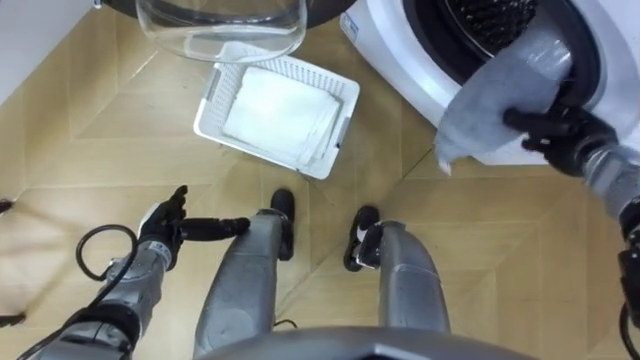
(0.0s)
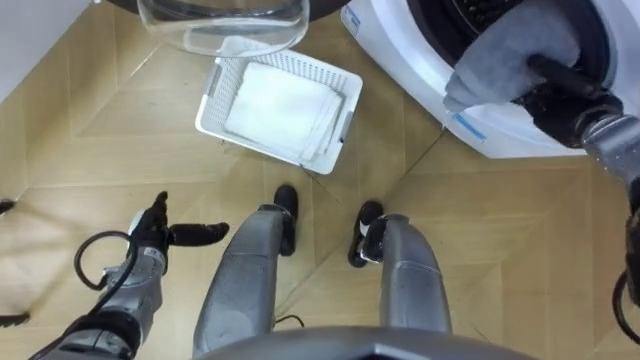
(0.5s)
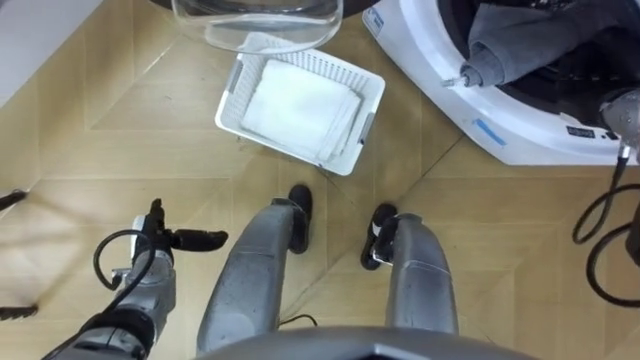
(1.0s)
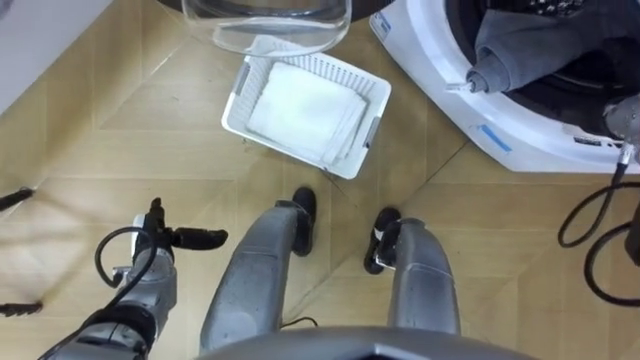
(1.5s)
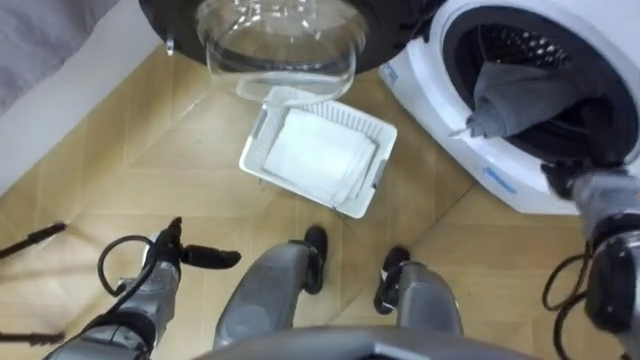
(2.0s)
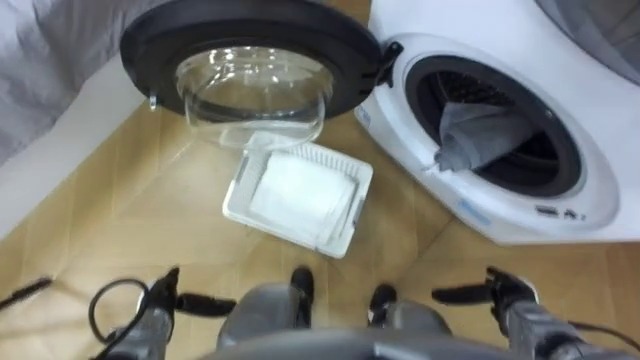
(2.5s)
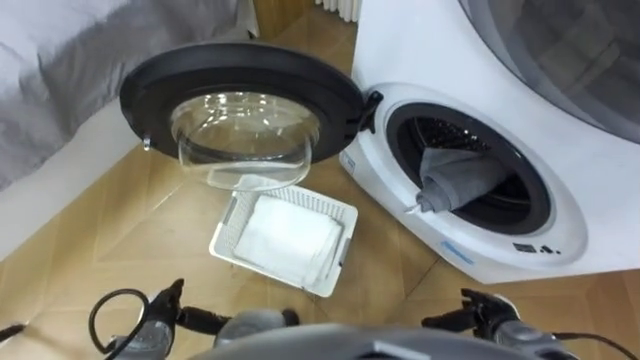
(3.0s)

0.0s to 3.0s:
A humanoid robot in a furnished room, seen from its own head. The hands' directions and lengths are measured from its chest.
Task of the whole recording: Take the towel from the basket and put it into the washing machine.
0.0s to 1.5s: The right hand moves about 5 cm, and opens.
1.5s to 3.0s: The right hand heads backward, downward and to the left, covering some 35 cm. The left hand travels backward by some 10 cm.

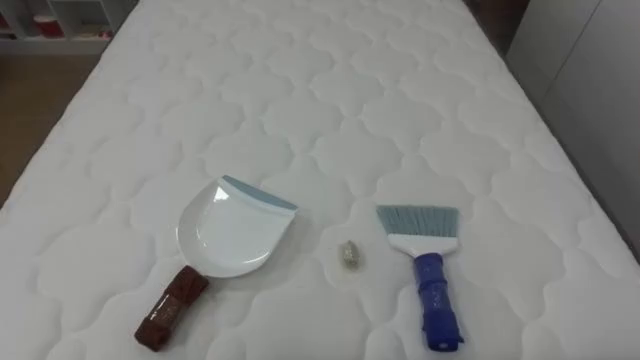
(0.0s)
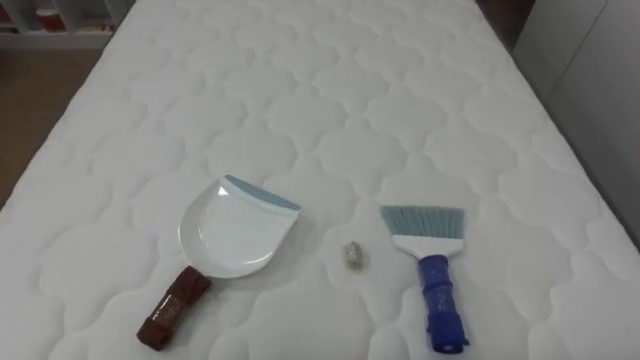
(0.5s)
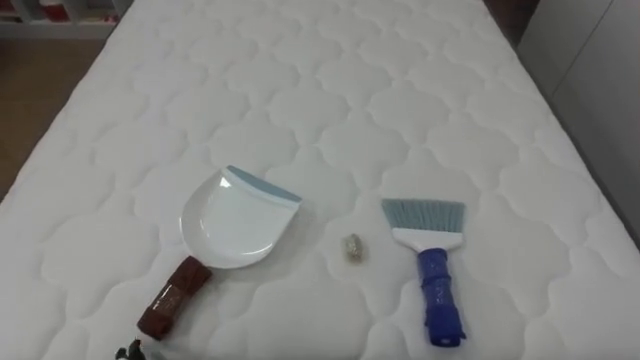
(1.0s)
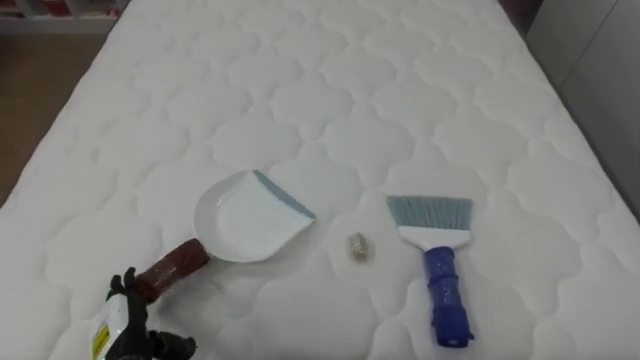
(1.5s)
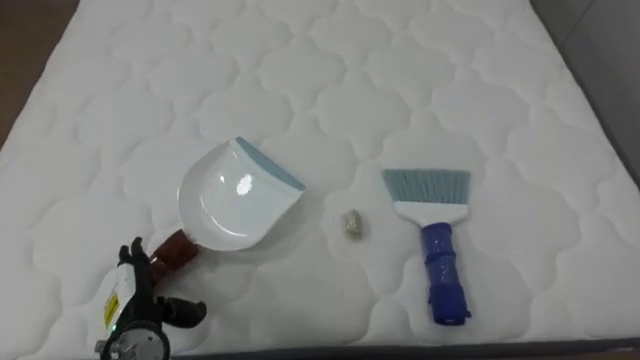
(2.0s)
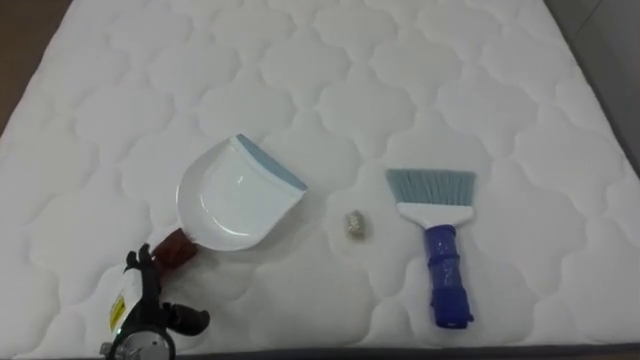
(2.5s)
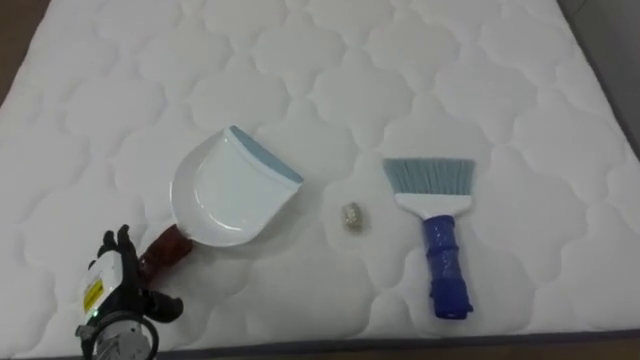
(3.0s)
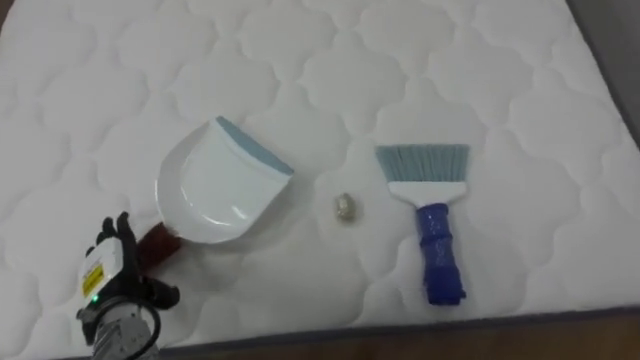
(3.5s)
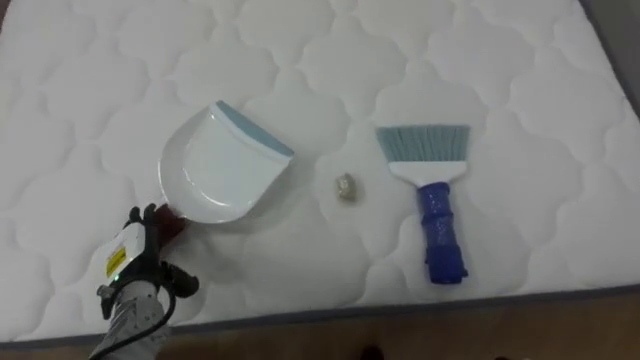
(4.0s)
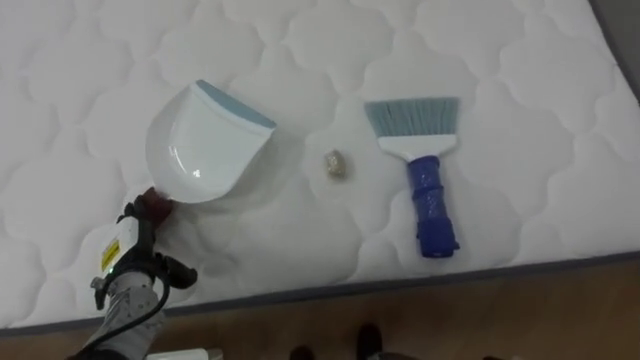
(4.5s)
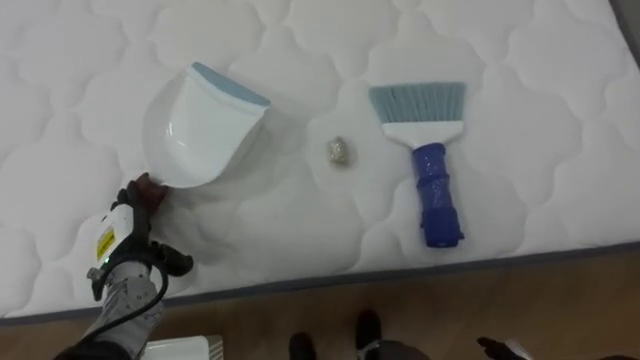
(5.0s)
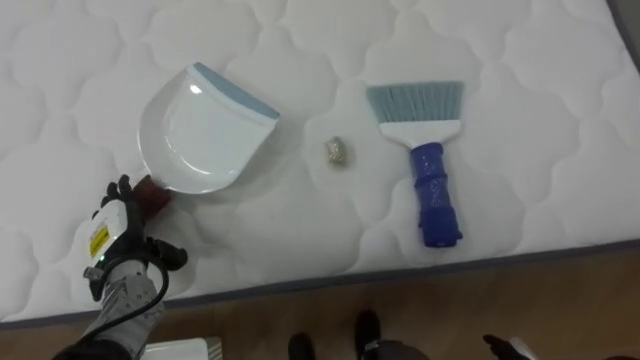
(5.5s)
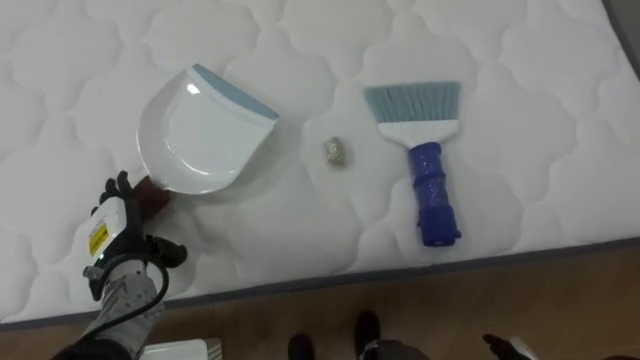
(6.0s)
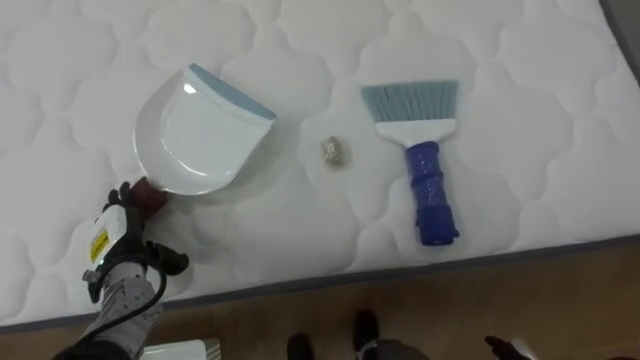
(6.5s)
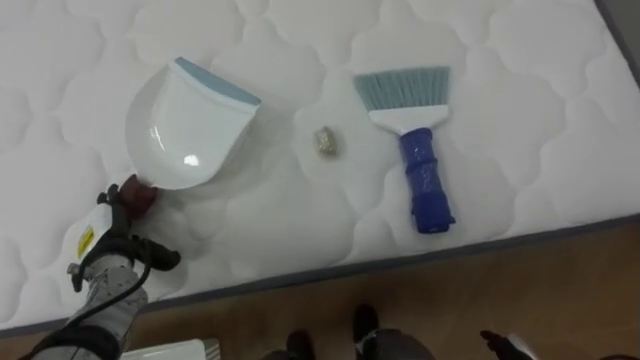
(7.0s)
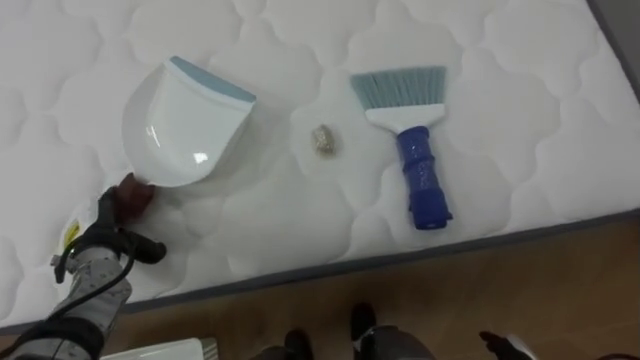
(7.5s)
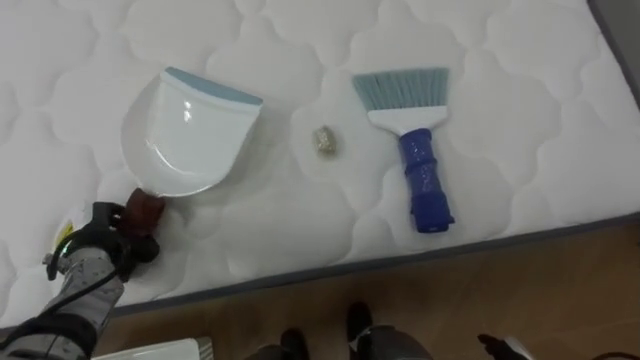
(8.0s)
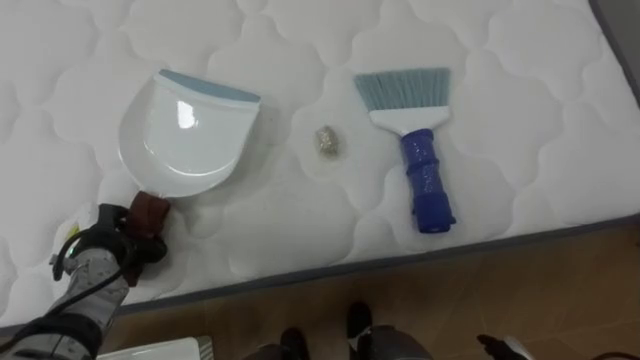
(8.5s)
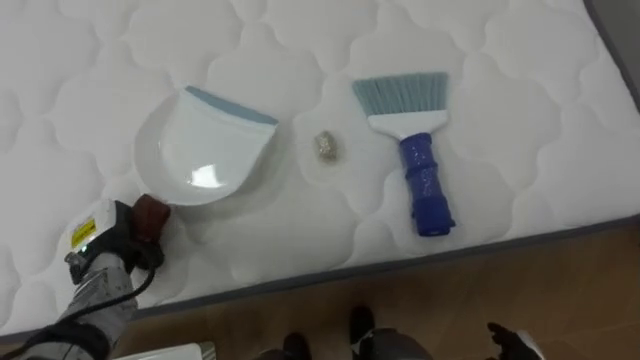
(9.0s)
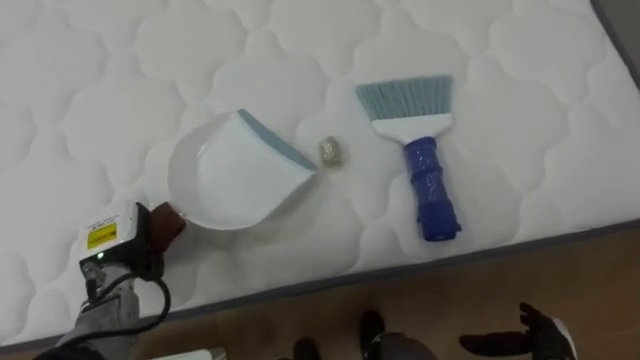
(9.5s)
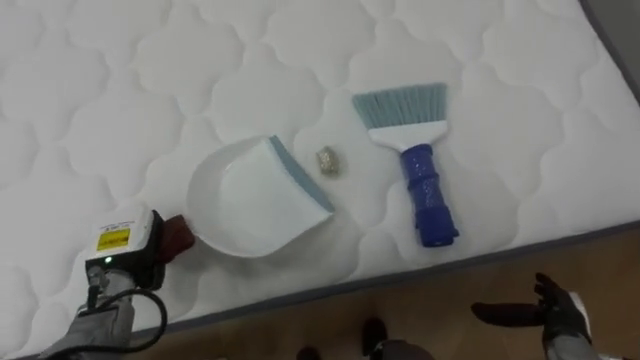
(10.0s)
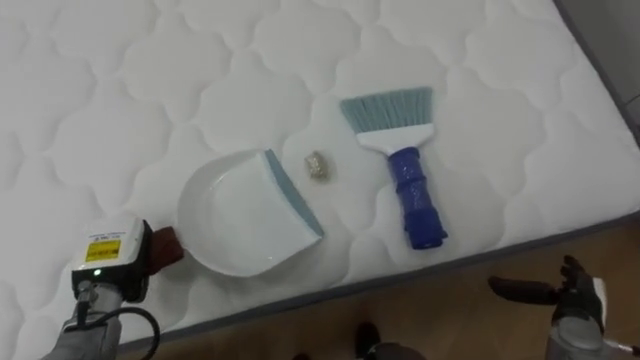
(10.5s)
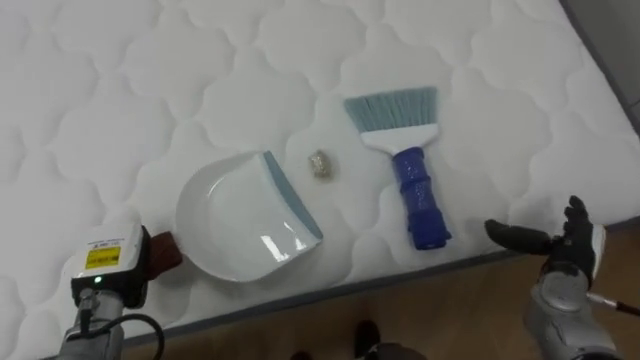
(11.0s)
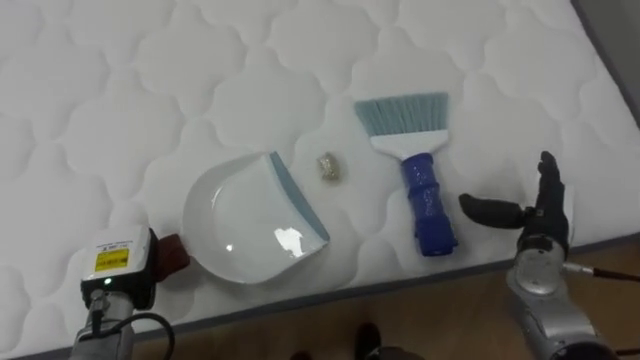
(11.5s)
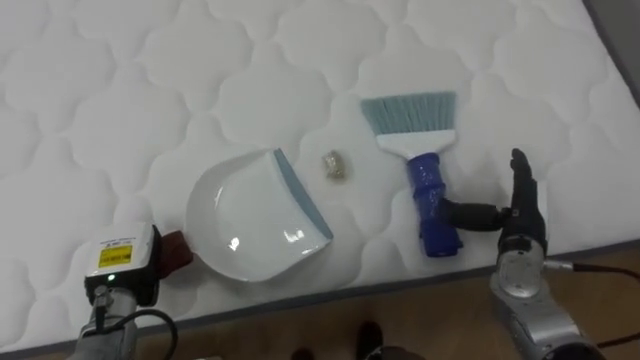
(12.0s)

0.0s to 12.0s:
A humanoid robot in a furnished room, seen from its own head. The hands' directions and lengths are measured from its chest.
Task of the whole recording: Pick up the brush on your right and the dustpan on your left. Use the brush to sweep the crumpled paper on the bed into the dustpan, then turn left and empty it into the basket.
2.0s to 4.0s: The left hand shifts some 5 cm forward.
6.0s to 8.0s: The left hand closes its fingers.
8.0s to 10.0s: The left hand moves to the right, roughly 5 cm.
10.0s to 12.0s: The right hand goes approximately 15 cm upward, forward and to the left.

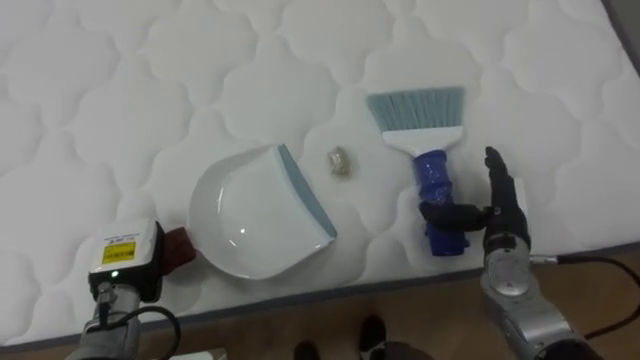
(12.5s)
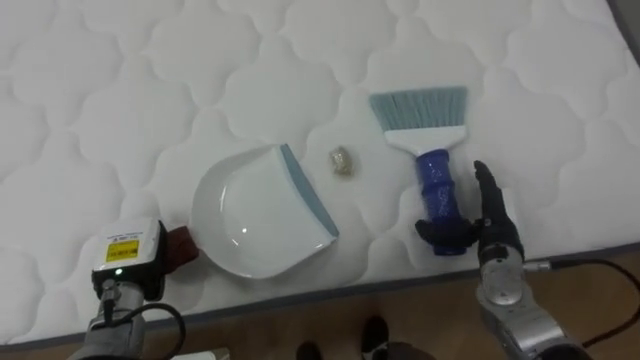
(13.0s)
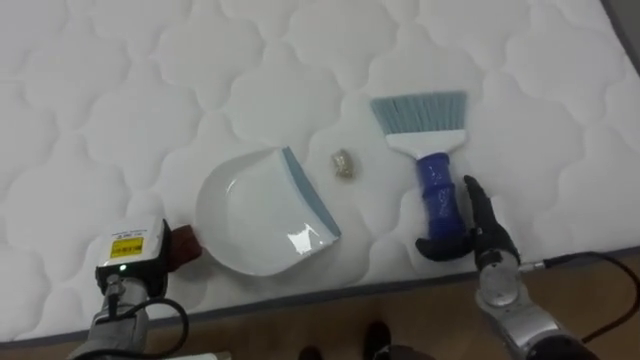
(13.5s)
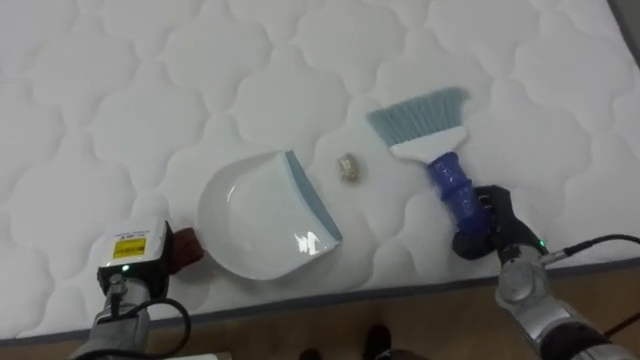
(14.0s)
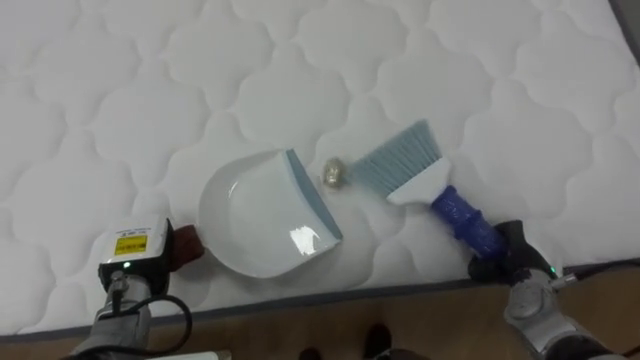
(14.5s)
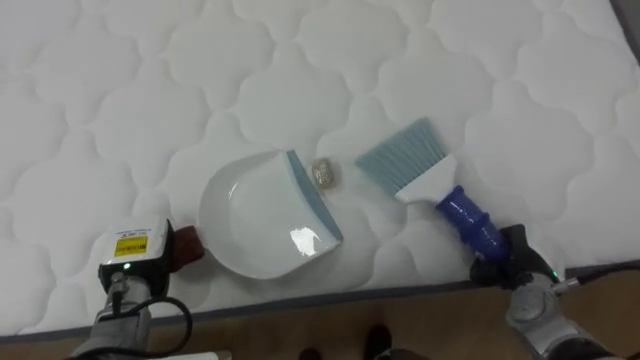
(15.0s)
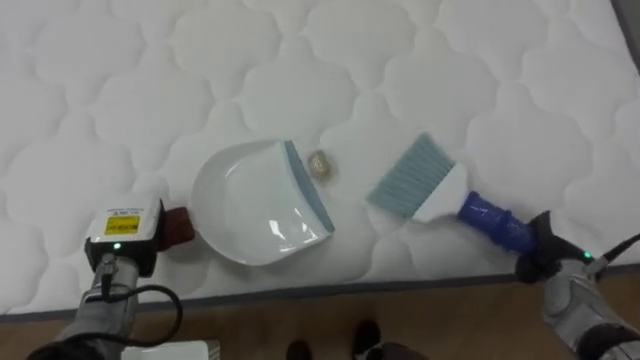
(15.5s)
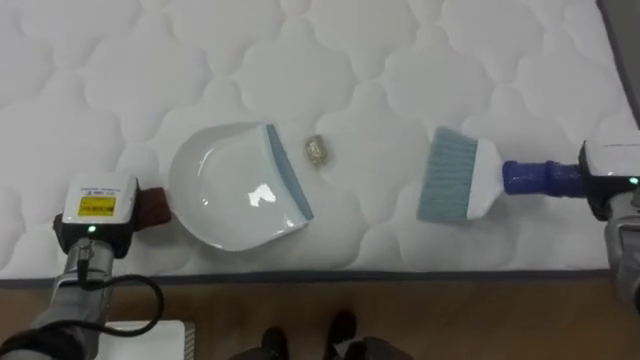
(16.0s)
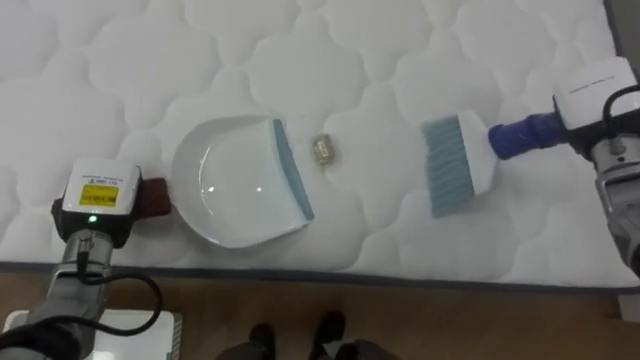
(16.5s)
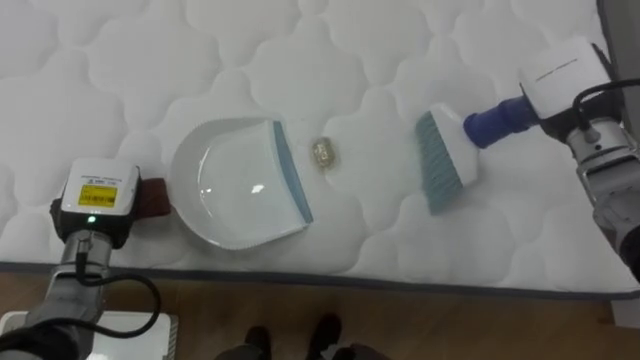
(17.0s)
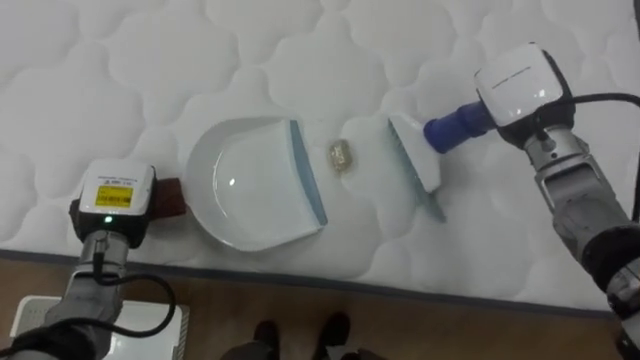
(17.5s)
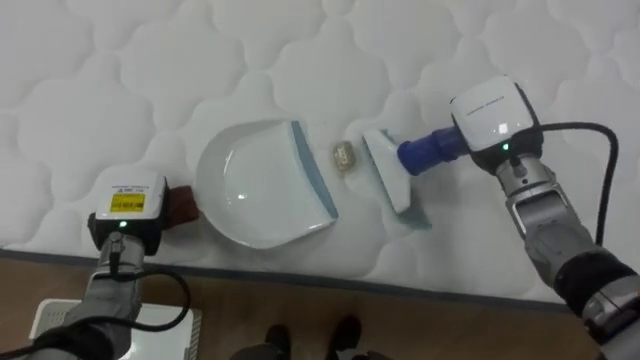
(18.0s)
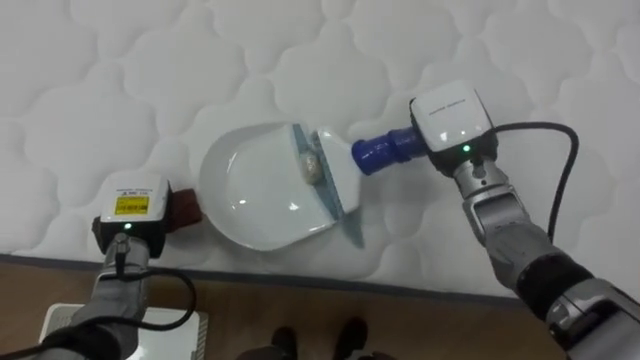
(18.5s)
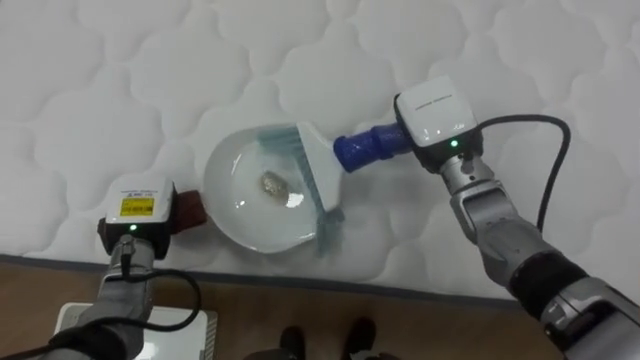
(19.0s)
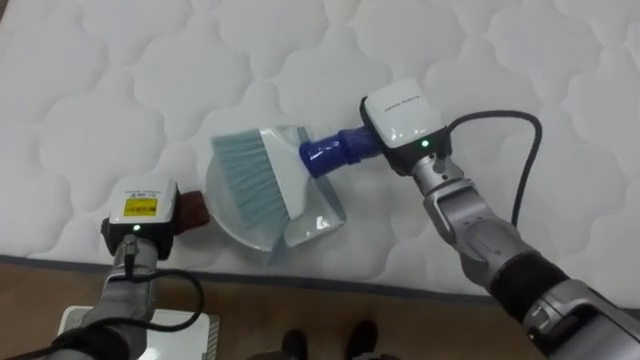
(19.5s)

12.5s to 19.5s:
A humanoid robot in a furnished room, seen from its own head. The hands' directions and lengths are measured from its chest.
Task of the whole recording: Pick up the brush on your right and the dustpan on your left. Use the brush to sweep the crumpled paper on the bed into the dustpan, then turn left and empty it into the basket.
12.5s to 14.5s: The right hand moves downward, some 5 cm, and closes its fingers.
14.5s to 16.0s: The left hand heads upward, covering approximately 5 cm. The right hand shifts roughly 15 cm upward, to the right and forward.
16.0s to 17.5s: The right hand is displaced to the left, upward and forward by roughly 15 cm.
17.5s to 19.5s: The right hand goes about 15 cm to the left.
